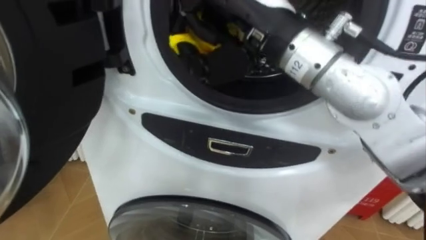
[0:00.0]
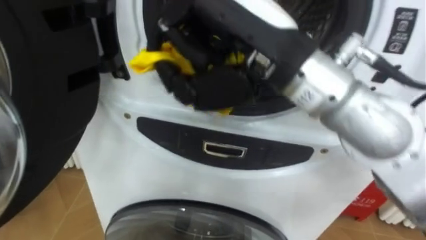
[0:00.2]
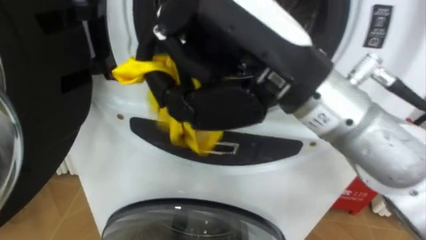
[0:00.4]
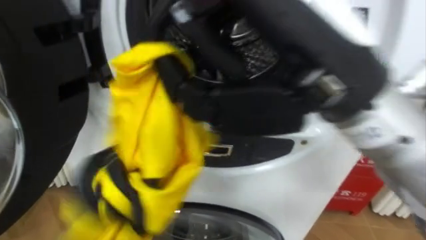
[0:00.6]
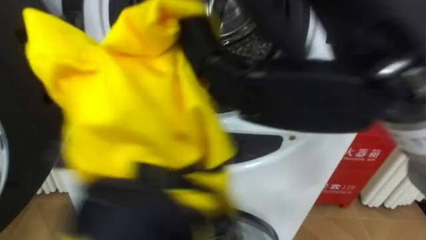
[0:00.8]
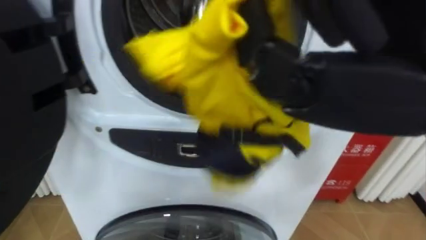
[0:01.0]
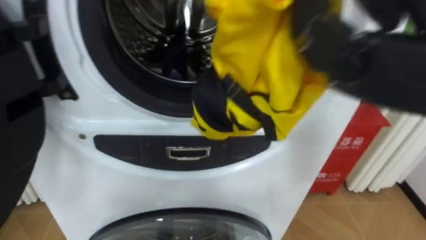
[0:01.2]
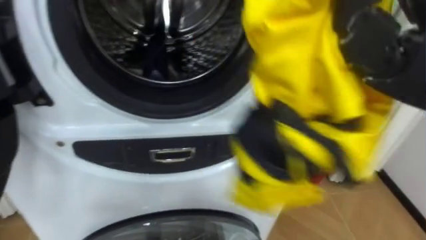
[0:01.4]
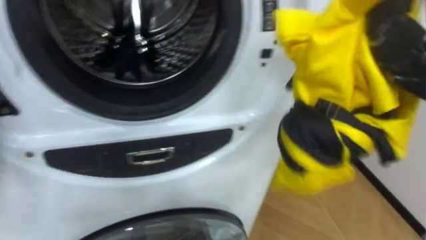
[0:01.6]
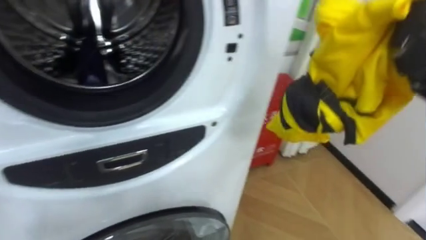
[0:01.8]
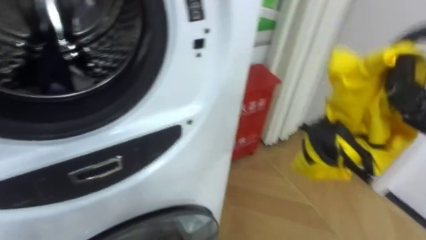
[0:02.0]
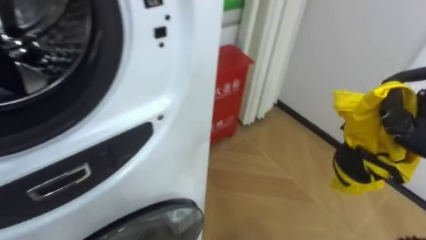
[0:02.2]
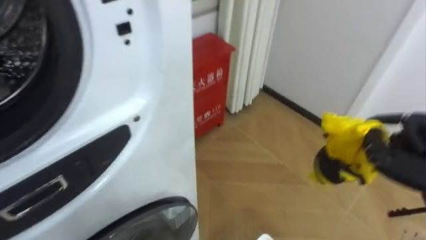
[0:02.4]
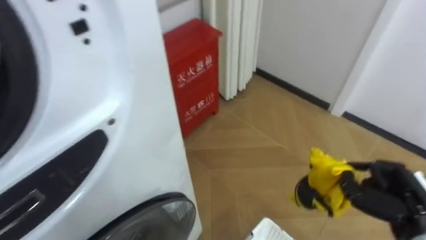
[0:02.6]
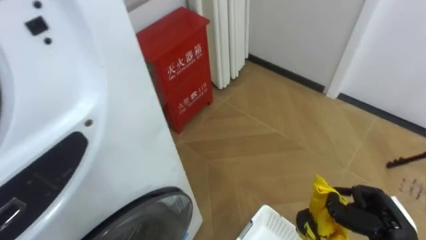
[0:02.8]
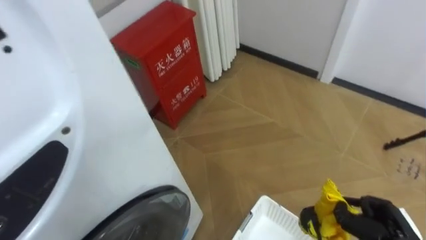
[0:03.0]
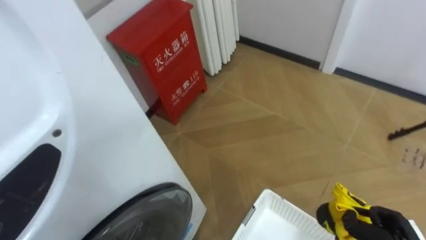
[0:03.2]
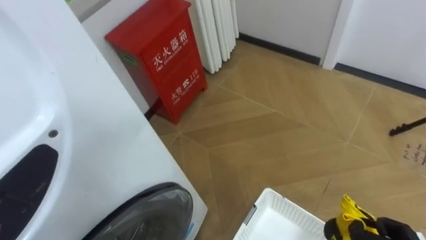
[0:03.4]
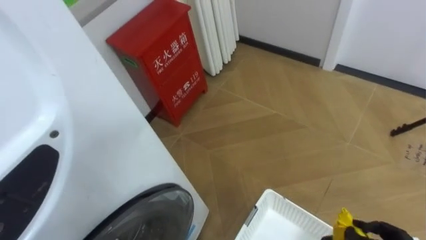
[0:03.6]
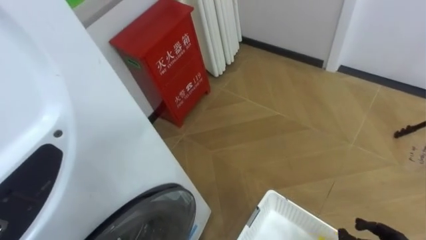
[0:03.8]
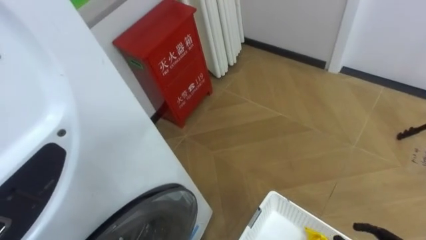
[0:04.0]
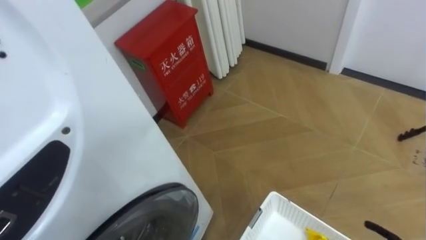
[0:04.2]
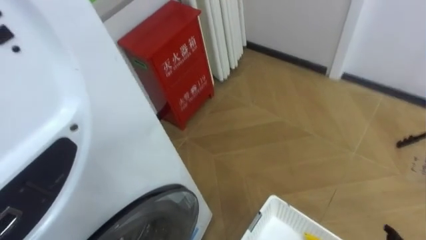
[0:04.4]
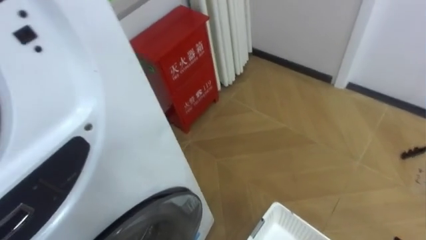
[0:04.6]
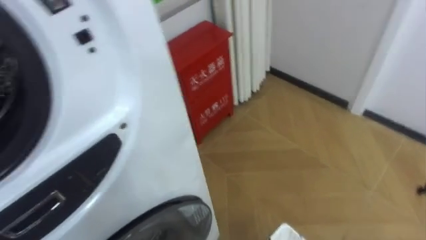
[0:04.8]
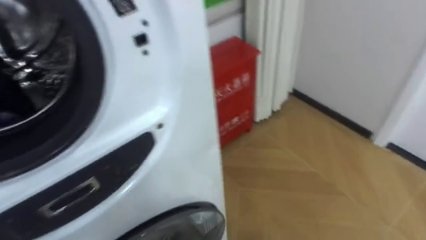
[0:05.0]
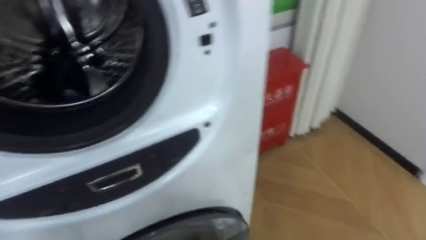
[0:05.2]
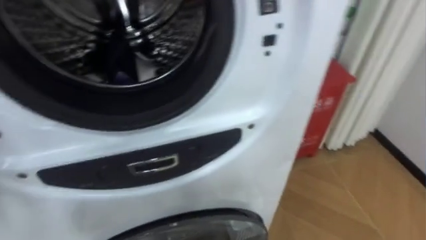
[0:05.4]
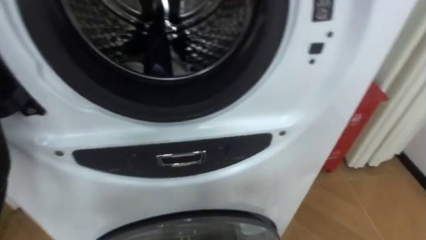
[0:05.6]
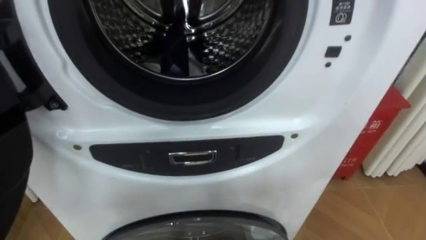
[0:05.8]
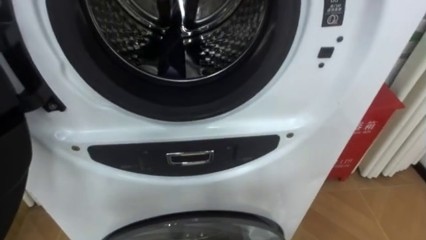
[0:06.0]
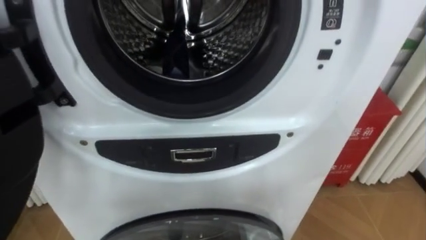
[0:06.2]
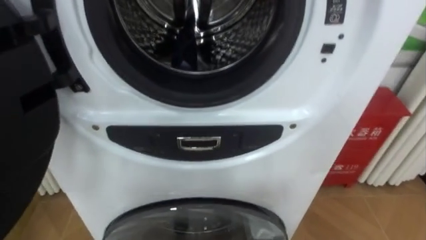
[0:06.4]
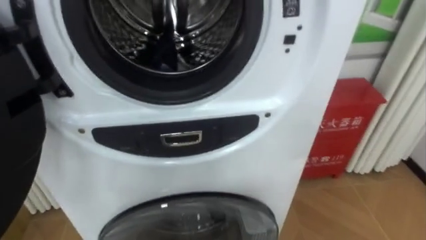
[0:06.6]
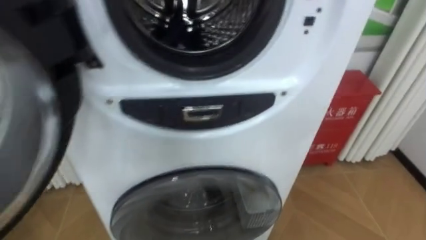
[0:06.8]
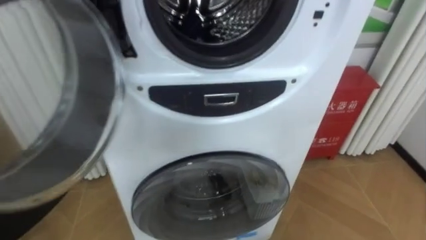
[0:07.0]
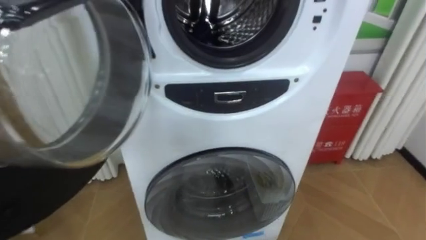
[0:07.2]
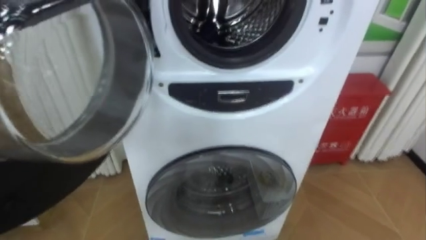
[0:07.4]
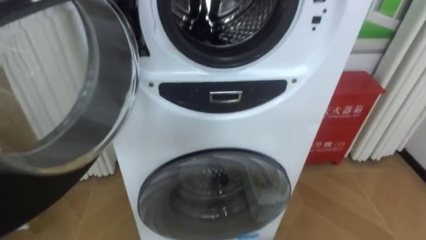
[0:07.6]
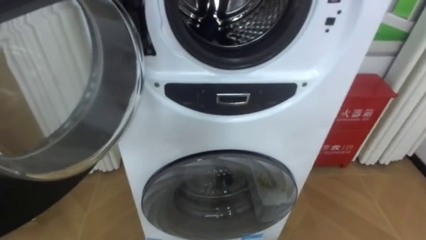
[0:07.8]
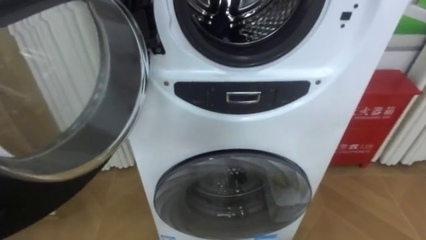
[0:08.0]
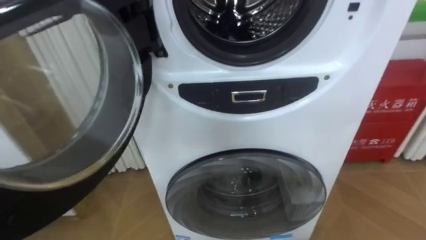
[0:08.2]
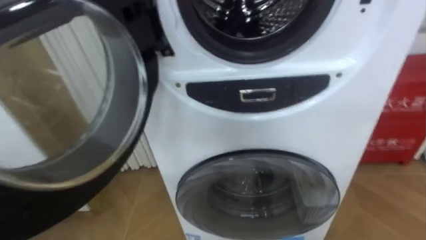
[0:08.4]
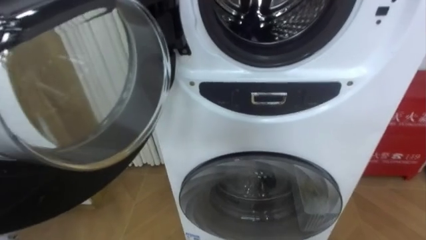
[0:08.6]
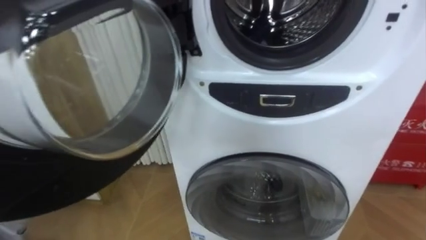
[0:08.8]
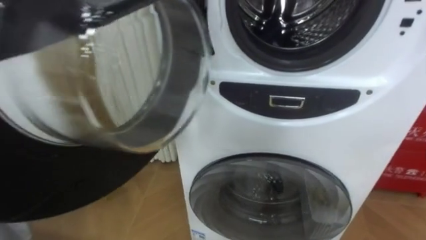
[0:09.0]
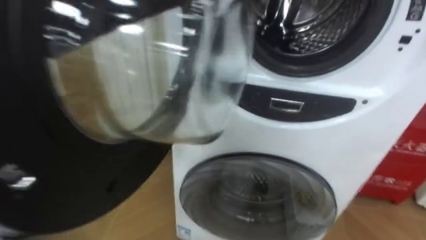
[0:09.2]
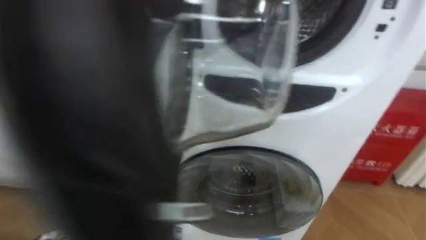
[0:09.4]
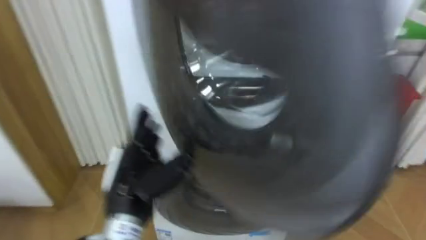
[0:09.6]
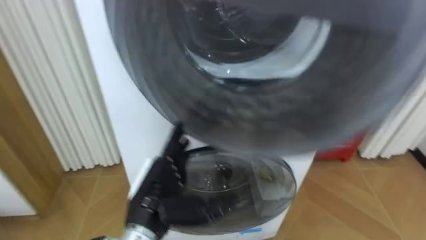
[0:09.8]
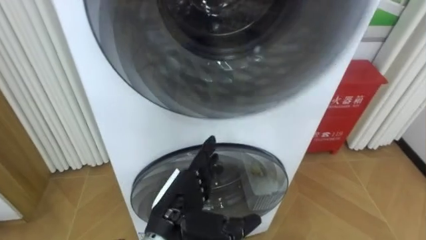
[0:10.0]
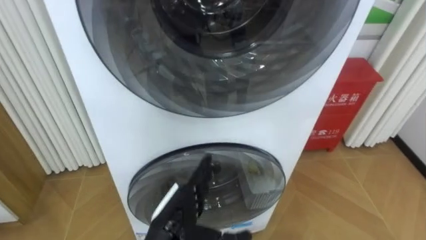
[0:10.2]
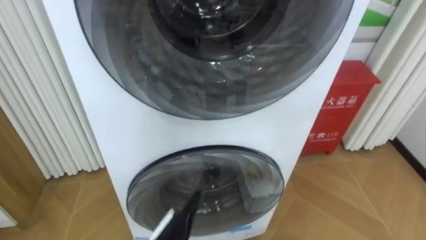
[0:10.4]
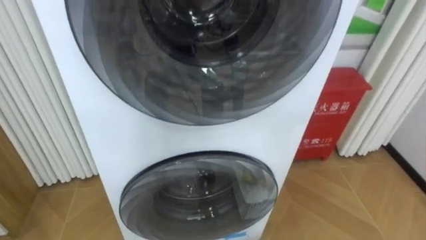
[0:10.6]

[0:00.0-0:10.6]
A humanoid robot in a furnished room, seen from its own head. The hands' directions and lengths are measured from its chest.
Task of the whole recording: Open the washing machine door, take out the yellow clothes, place them in the box on the right, and close the washing machine door.
0:01.6 to 0:03.0: The robot's body swings roughly 25 degrees to its right.

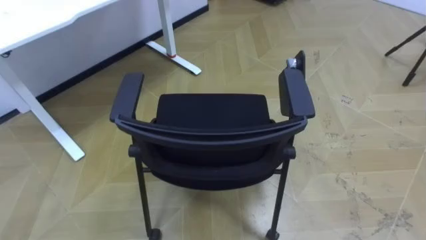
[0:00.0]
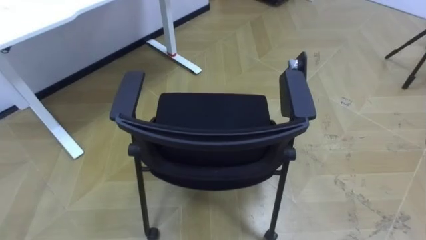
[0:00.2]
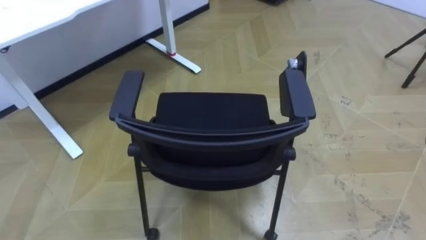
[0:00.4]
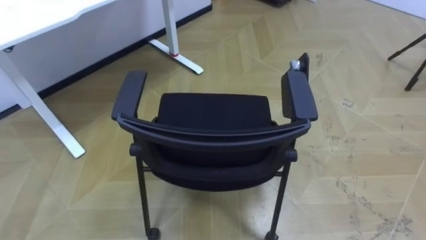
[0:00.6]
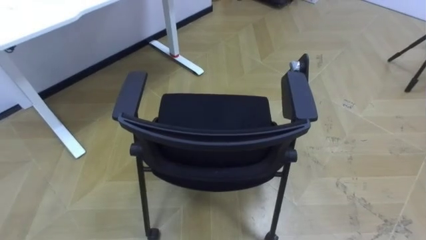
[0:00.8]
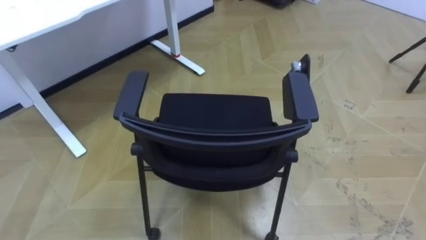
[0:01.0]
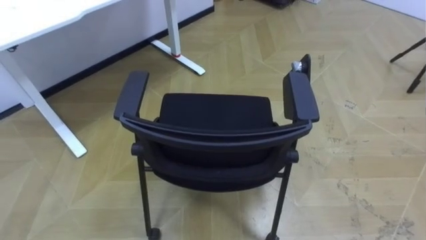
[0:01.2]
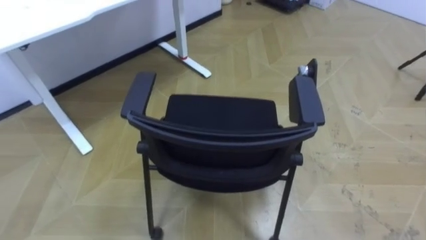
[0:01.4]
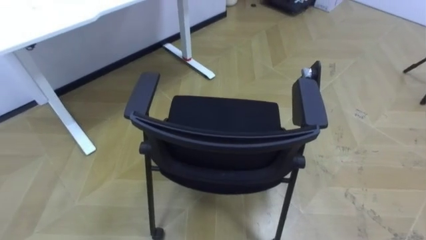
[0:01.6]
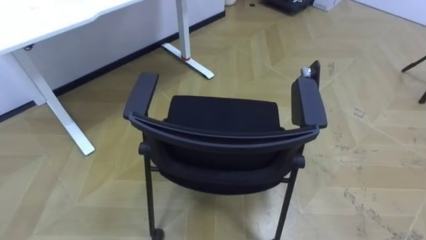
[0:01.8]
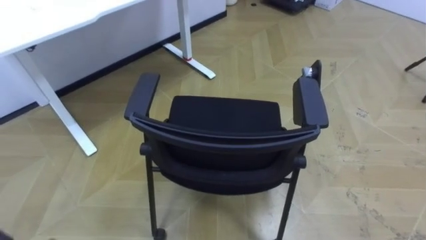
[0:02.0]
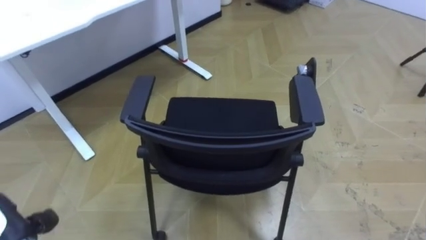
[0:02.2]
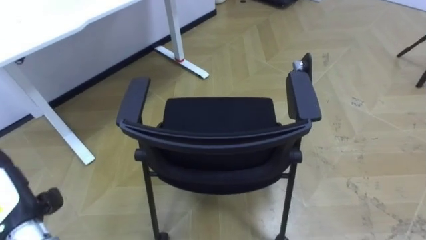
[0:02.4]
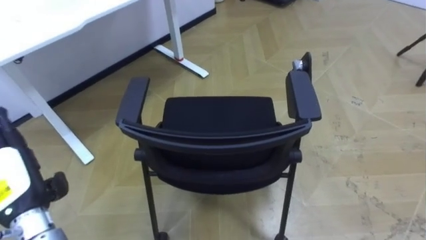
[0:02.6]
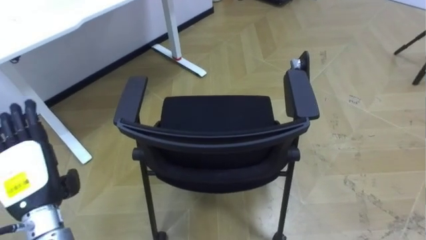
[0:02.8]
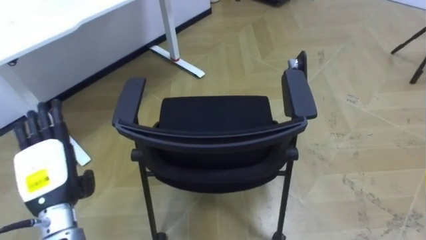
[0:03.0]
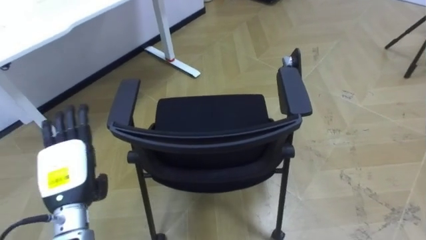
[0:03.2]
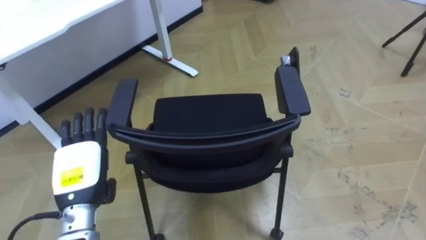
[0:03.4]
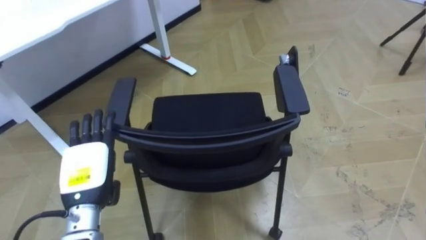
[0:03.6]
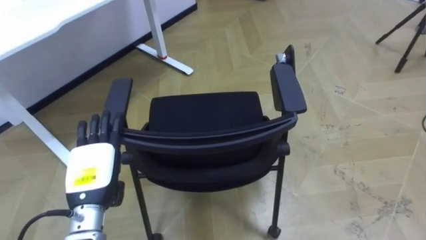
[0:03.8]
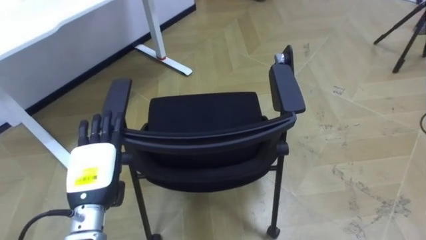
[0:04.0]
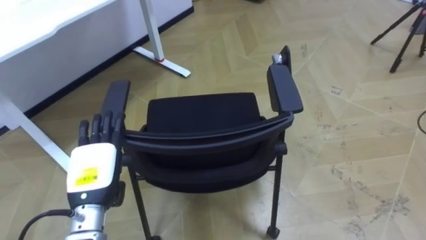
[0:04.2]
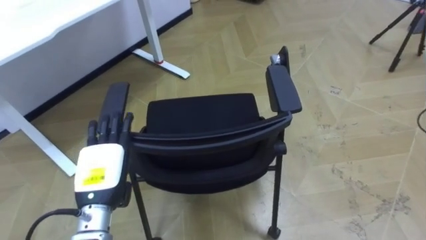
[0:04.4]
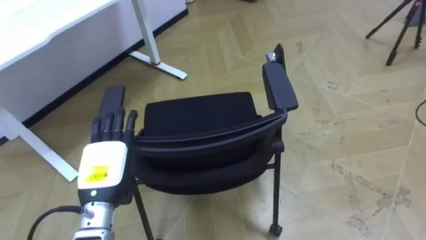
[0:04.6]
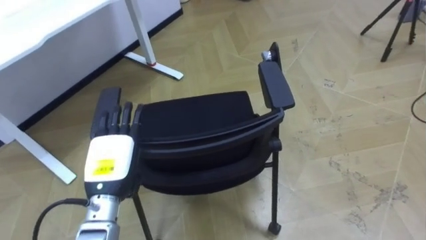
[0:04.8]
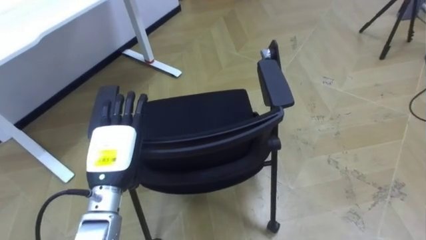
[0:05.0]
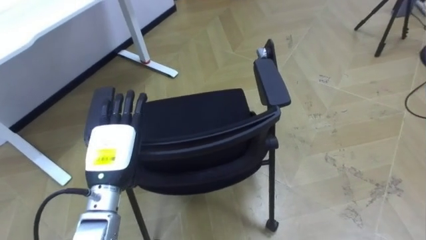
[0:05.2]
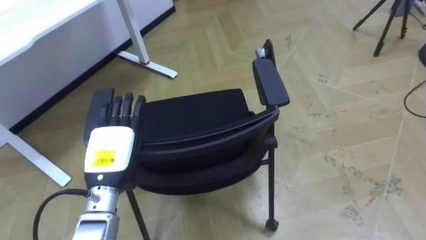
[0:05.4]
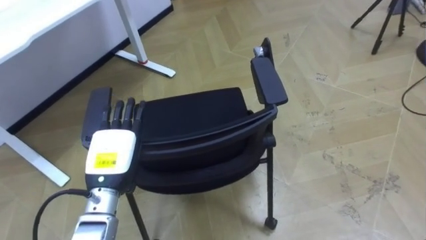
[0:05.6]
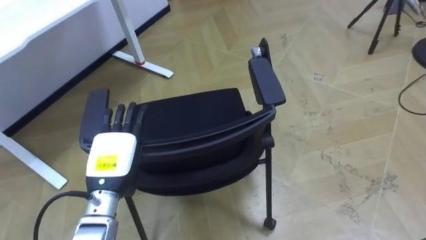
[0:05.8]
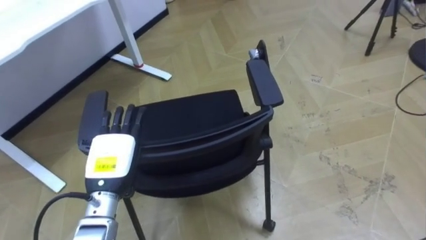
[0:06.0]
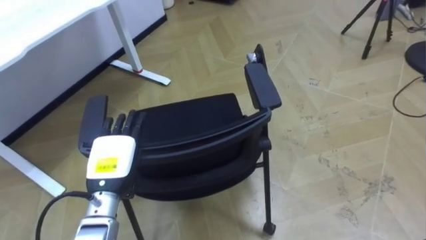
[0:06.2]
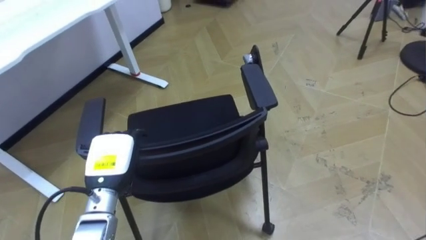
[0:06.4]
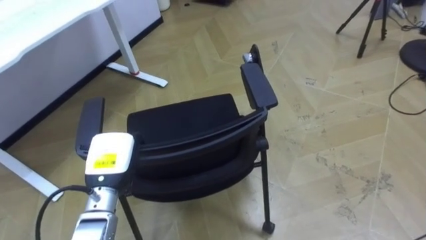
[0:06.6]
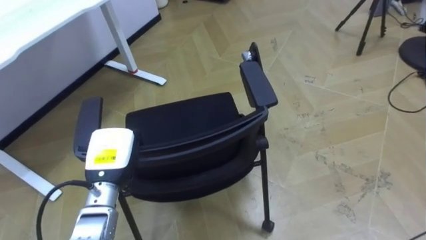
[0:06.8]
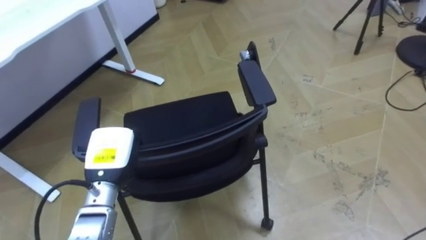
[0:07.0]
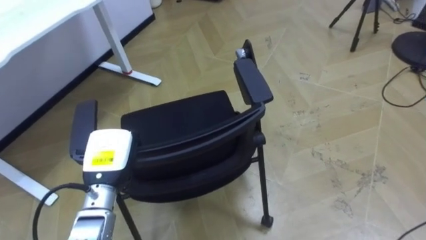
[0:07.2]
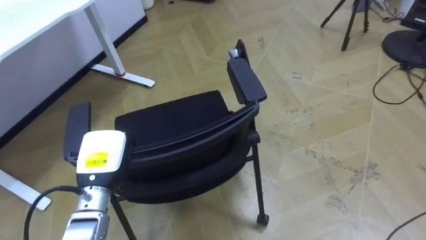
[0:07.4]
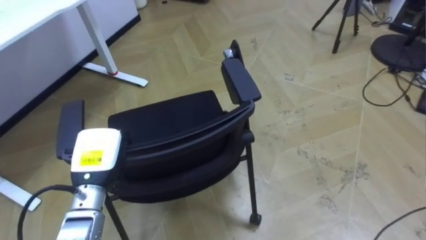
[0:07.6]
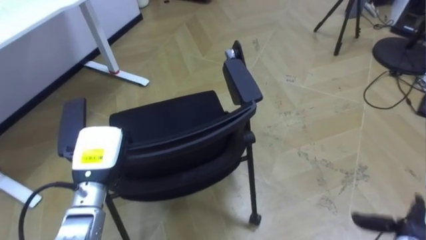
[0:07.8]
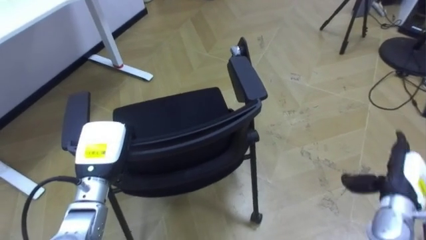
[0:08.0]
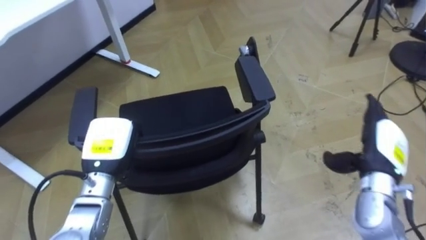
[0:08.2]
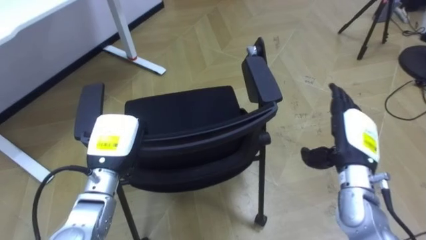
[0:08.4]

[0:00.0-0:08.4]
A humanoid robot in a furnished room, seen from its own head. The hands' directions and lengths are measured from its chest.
Task of the whole recording: Push the chair under the table.
0:02.8 to 0:04.2: The left hand heads to the right, covering about 10 cm.
0:05.6 to 0:07.0: The left hand closes up.
